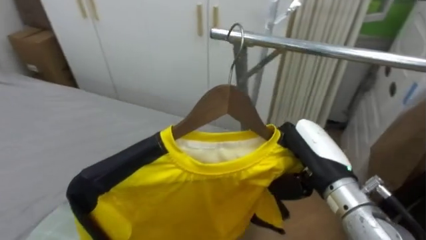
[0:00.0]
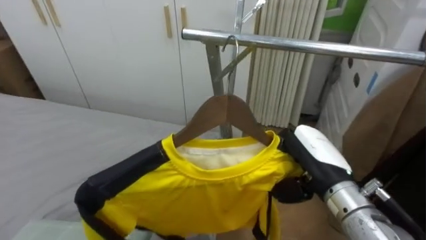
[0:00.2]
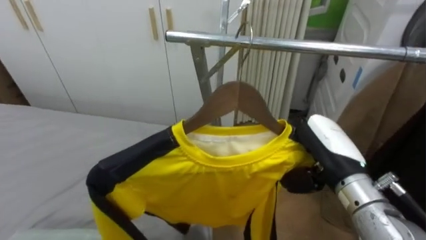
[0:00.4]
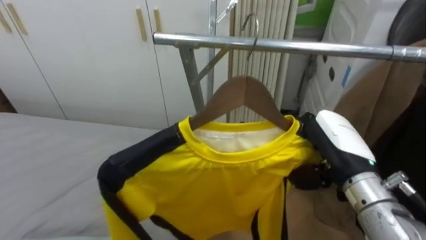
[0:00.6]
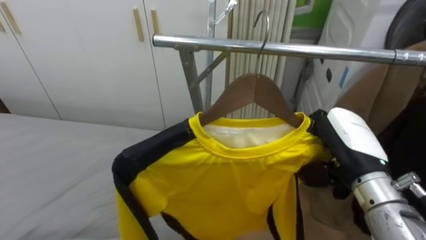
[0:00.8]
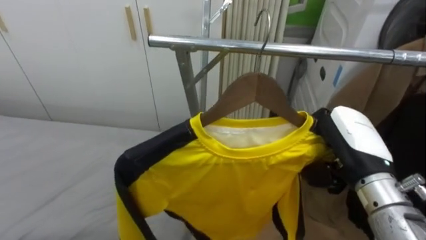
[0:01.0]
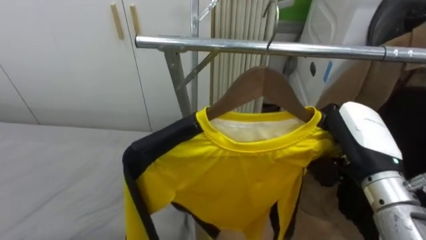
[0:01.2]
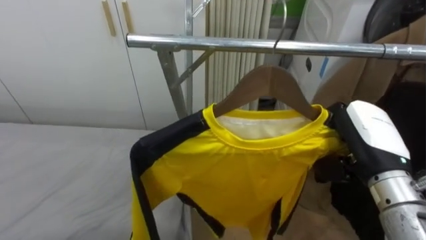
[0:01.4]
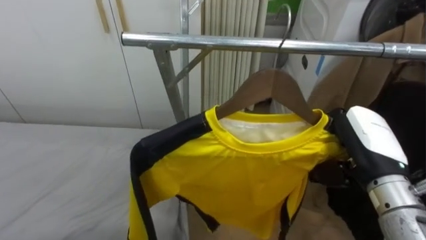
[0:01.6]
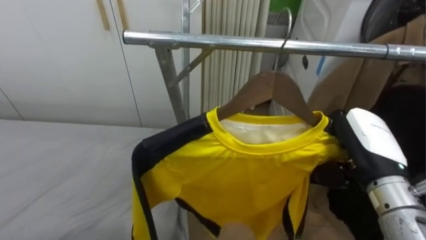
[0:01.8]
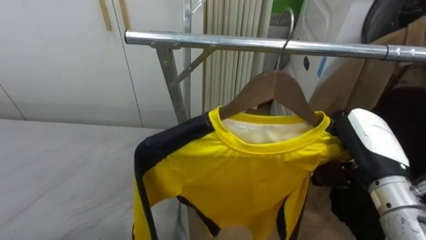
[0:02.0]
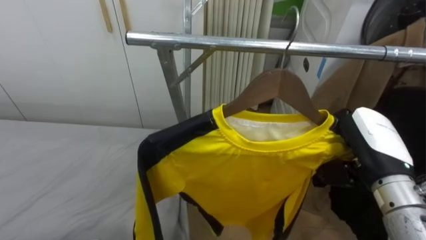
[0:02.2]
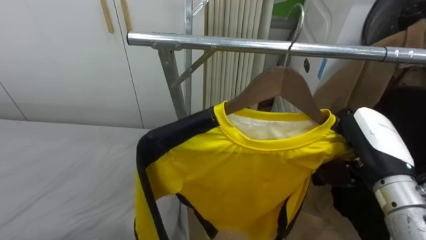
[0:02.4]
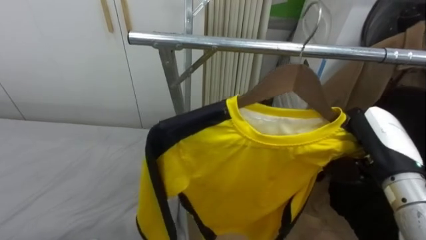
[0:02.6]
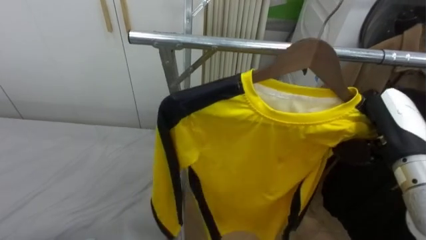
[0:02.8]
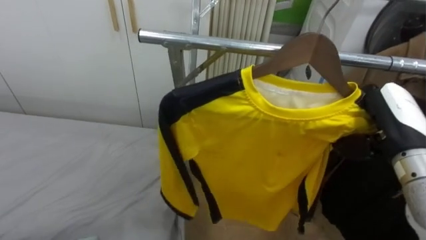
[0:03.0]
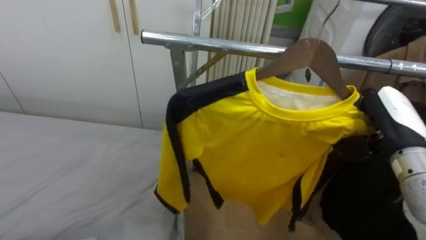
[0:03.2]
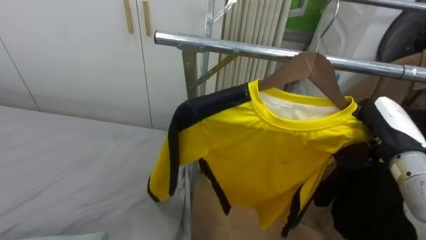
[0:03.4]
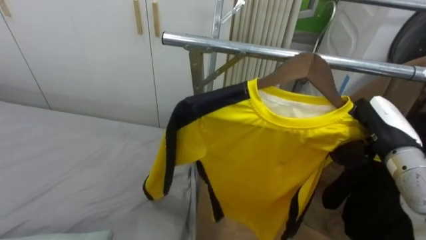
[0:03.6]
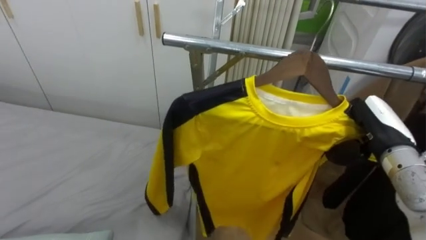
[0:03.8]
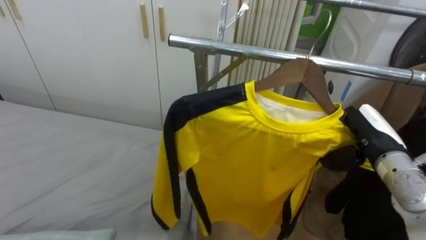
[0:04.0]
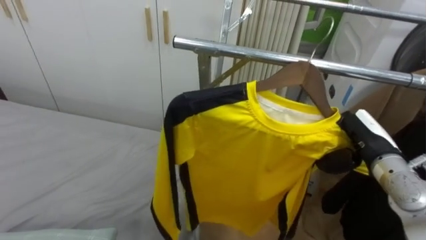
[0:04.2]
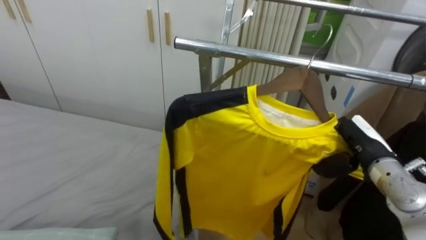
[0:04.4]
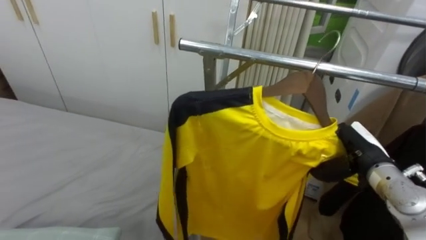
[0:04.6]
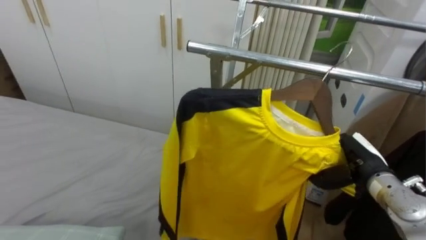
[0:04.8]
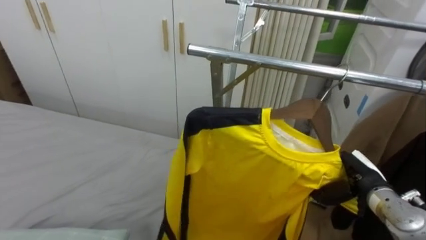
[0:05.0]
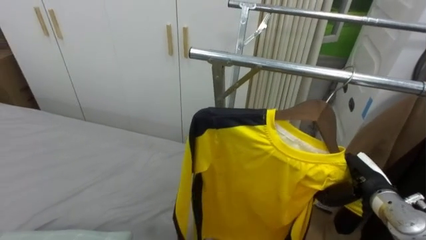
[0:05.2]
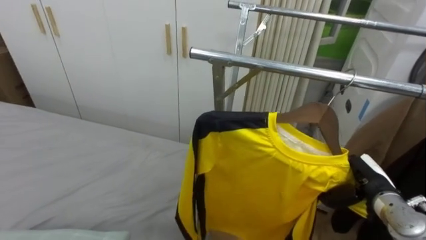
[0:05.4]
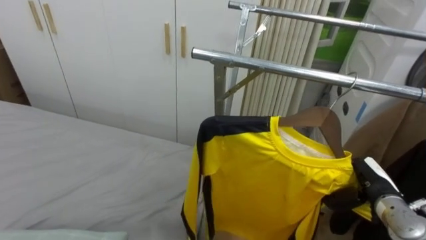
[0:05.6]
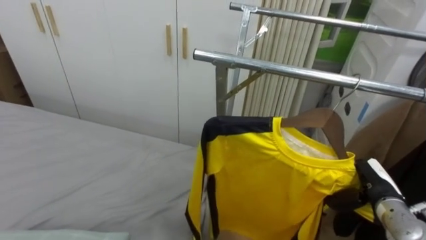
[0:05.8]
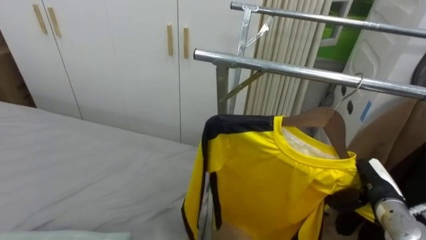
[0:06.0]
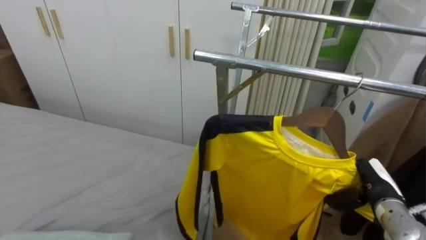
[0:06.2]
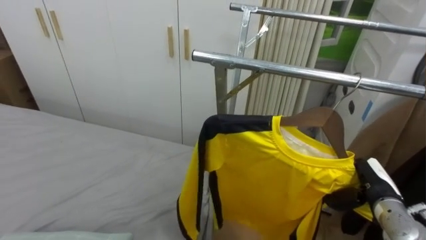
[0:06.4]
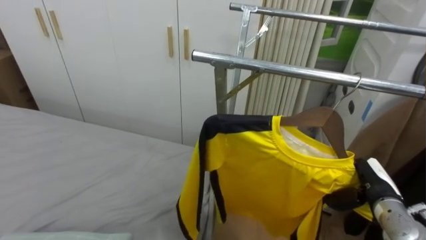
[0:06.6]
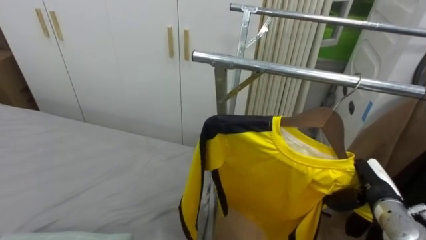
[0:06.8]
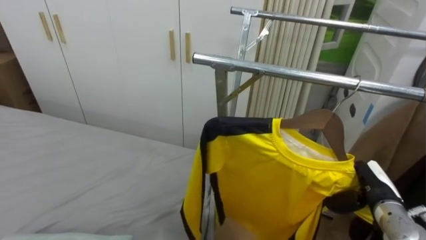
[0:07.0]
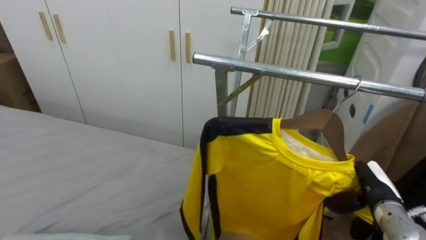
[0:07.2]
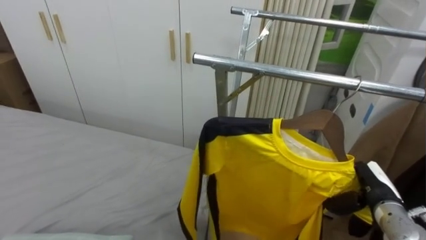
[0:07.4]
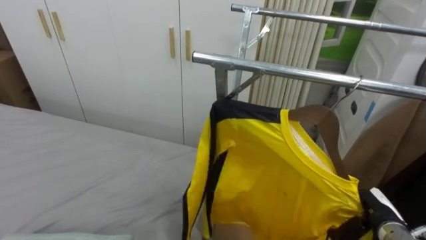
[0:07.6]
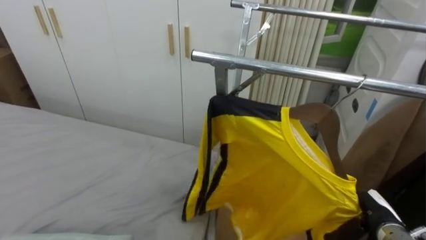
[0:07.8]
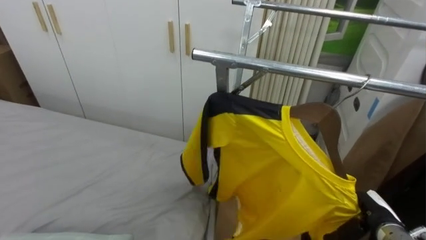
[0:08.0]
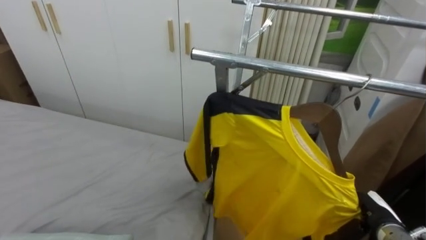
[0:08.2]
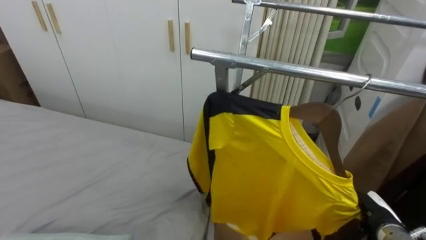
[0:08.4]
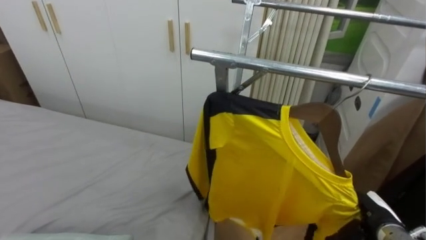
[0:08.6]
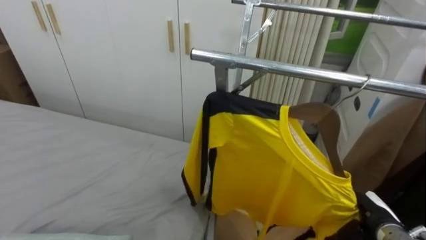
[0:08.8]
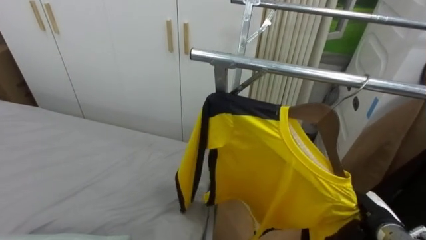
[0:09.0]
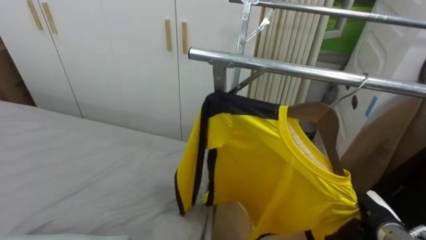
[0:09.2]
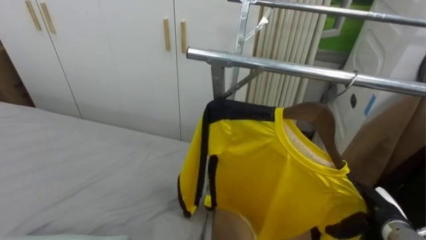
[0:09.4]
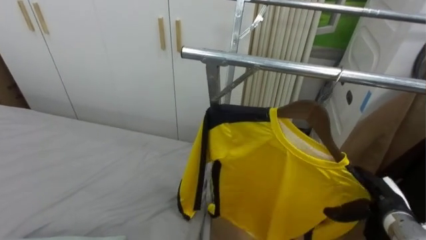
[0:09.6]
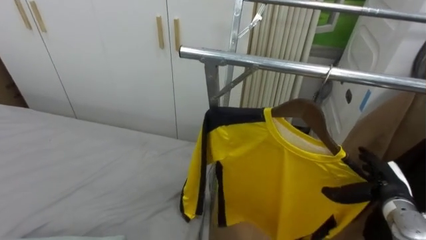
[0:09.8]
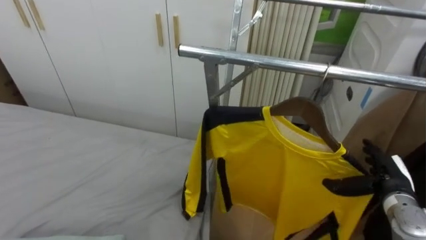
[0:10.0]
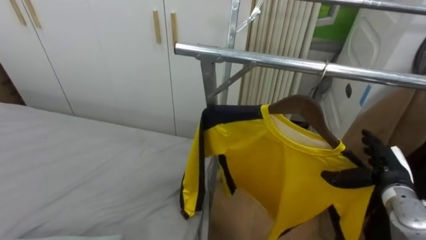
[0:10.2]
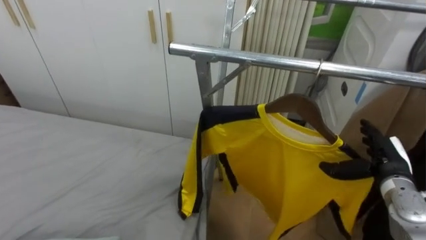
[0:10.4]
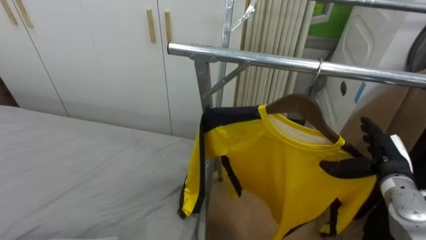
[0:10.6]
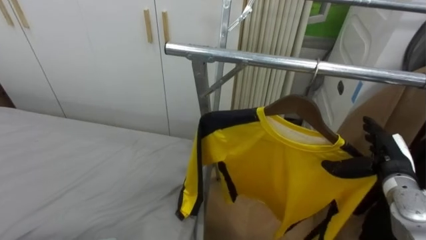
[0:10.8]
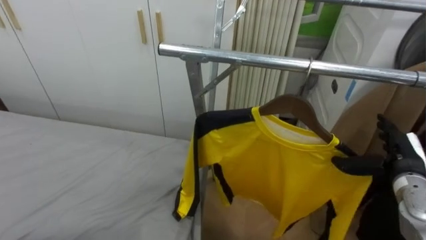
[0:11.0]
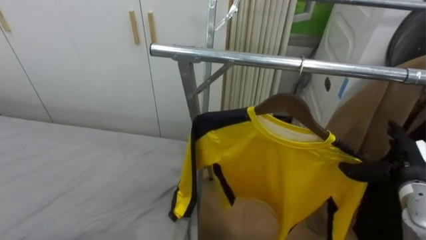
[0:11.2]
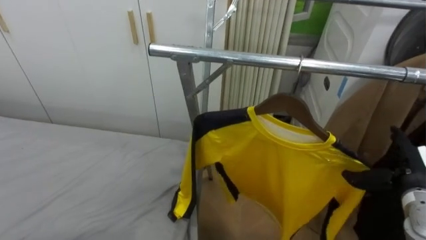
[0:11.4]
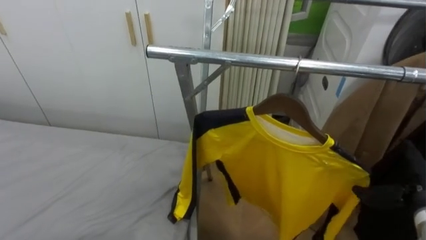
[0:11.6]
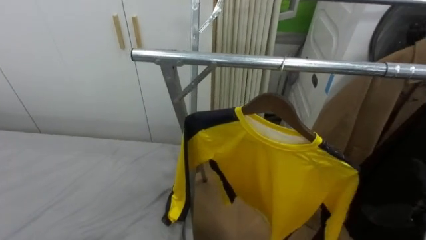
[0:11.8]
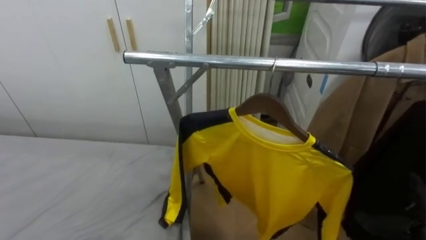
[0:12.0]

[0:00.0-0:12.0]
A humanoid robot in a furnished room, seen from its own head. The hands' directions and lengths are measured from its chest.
Task of the whole recording: Pick up the yellow shirt on the bed and hang it on the clothes rack on the right.
0:00.0 to 0:01.6: The robot rotates roughly 15 degrees to its right. The right hand moves to the right, about 5 cm.
0:01.6 to 0:03.0: The right hand ends up approximately 5 cm from where it was.
0:03.0 to 0:04.4: The right hand shifts about 10 cm downward.
0:04.4 to 0:06.0: The right hand is displaced downward by roughly 10 cm.
0:07.6 to 0:09.0: The right hand opens.
0:09.0 to 0:10.4: The right hand heads upward and forward, covering approximately 10 cm.
0:10.4 to 0:12.0: The right hand travels backward and to the right by roughly 10 cm.

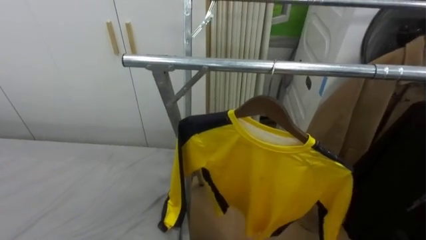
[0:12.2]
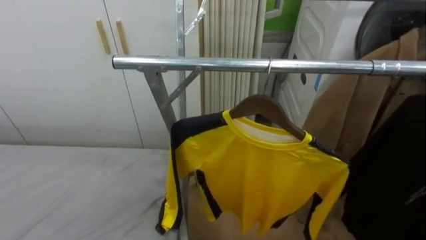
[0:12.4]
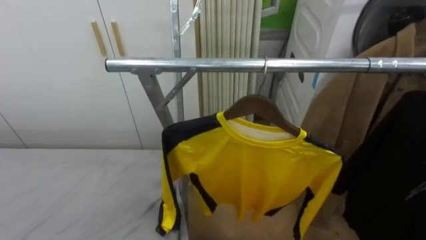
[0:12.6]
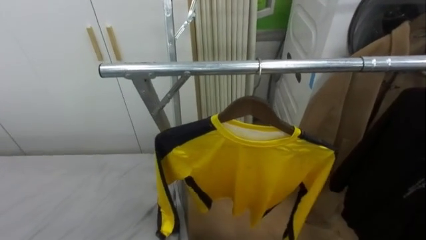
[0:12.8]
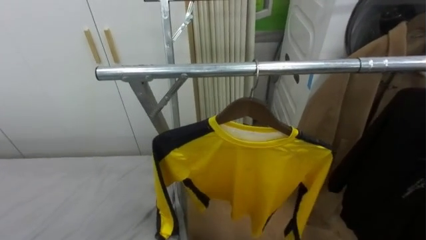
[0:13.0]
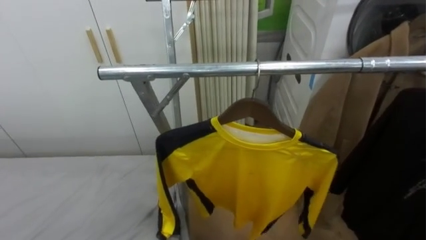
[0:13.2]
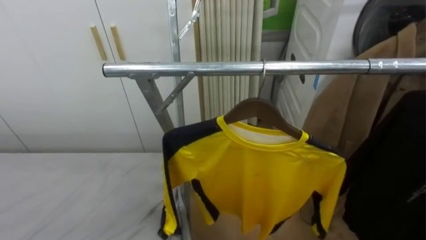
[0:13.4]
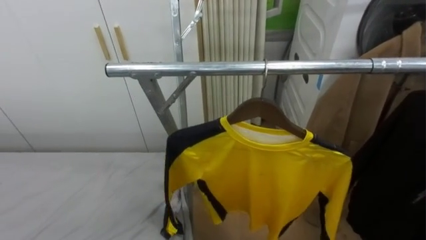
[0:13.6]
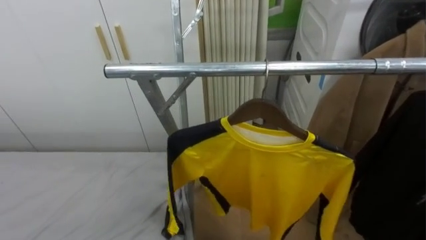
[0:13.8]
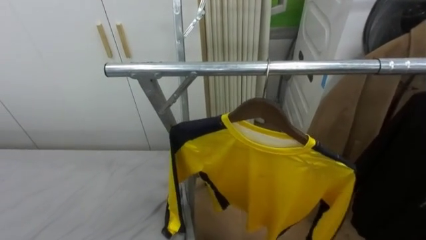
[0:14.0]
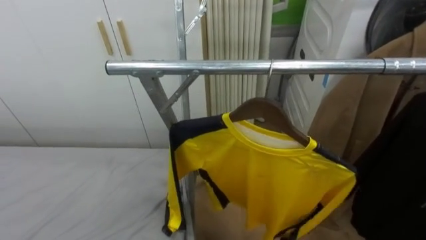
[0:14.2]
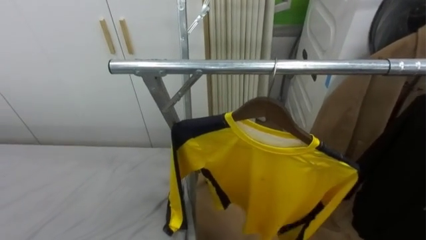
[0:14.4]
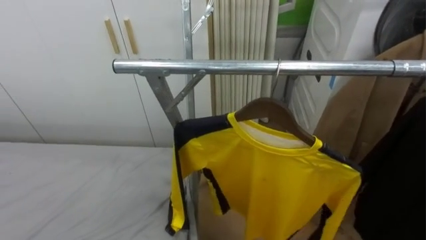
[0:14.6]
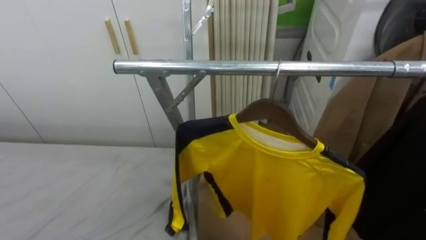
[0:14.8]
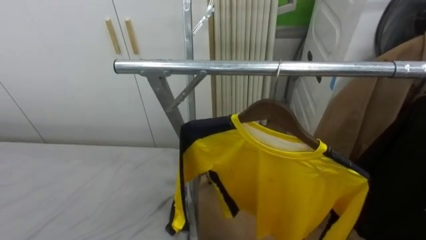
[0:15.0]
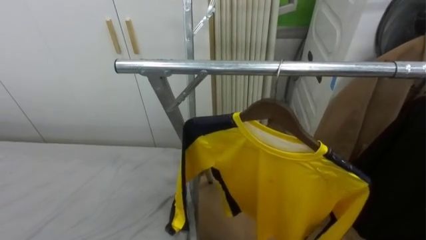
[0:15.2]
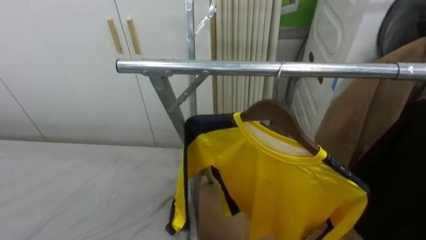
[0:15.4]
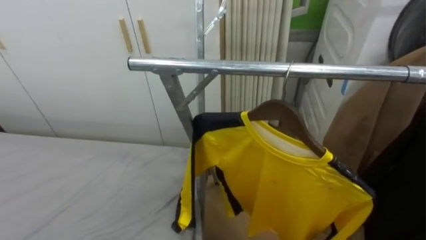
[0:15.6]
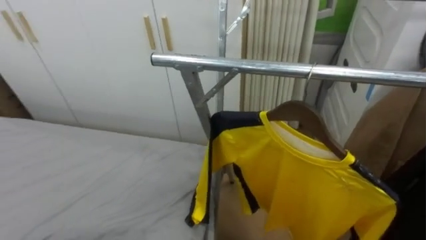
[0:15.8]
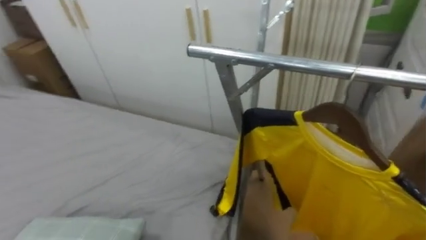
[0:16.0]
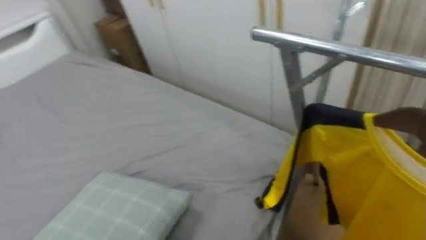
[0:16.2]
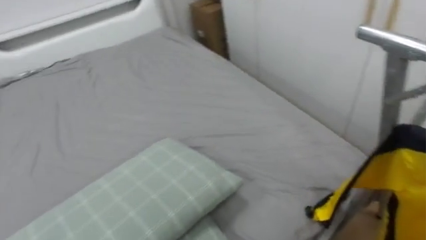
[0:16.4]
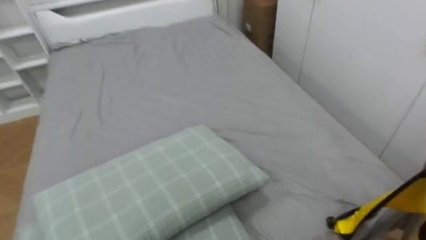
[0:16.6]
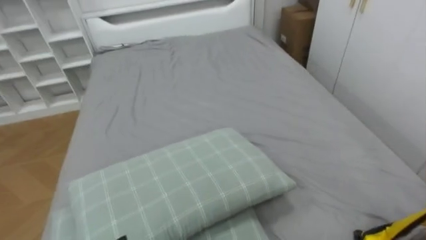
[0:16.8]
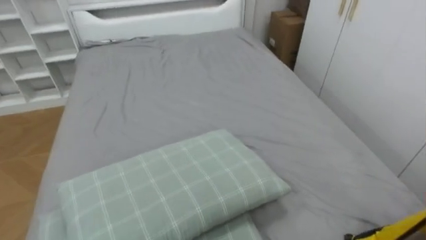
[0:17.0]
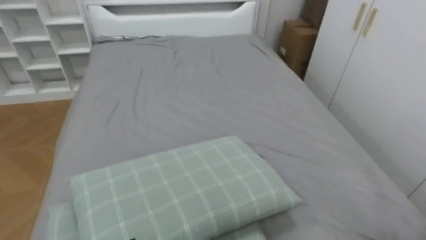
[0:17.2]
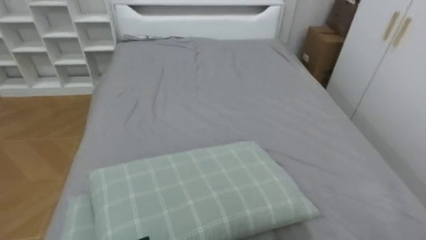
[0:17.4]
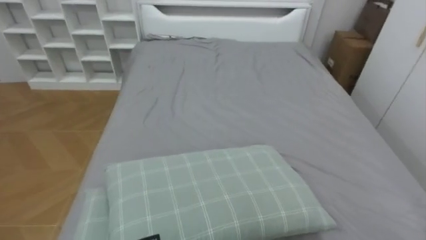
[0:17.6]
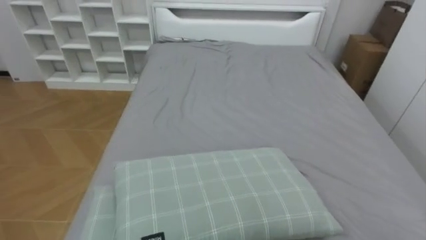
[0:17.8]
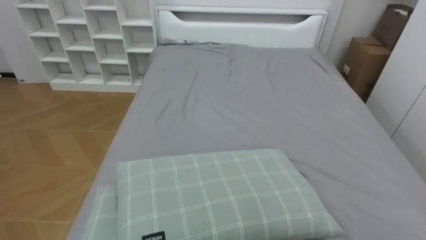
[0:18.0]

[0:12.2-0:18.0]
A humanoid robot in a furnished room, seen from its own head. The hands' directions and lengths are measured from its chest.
Task of the whole recording: Pick up the yellow shirt on the bed and hang it on the clothes rack on the right.
0:15.0 to 0:16.6: The robot rotates some 60 degrees to its left.
0:16.6 to 0:18.0: The robot turns to its left by about 30 degrees.
